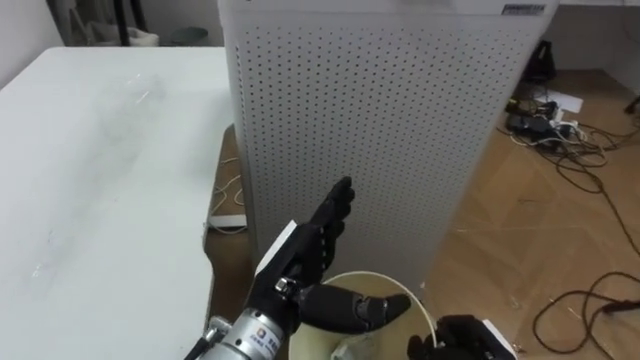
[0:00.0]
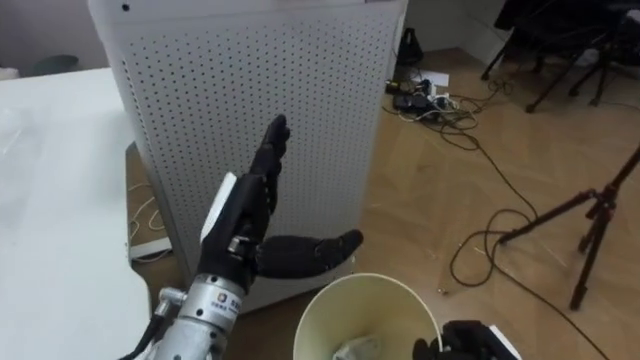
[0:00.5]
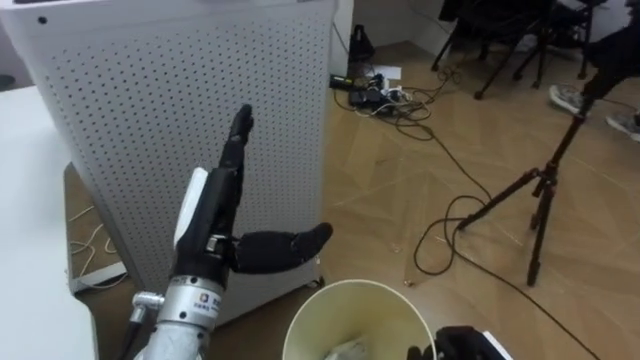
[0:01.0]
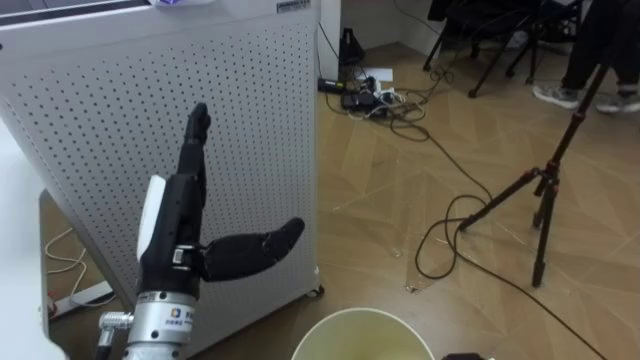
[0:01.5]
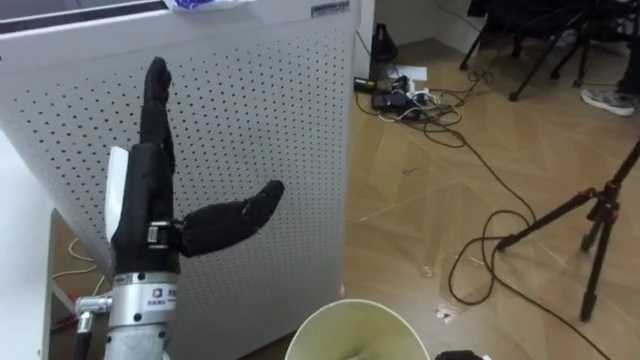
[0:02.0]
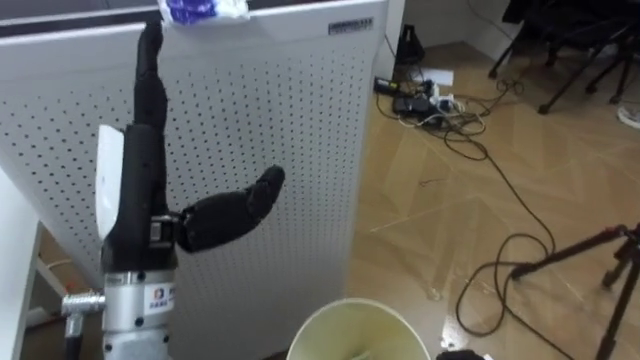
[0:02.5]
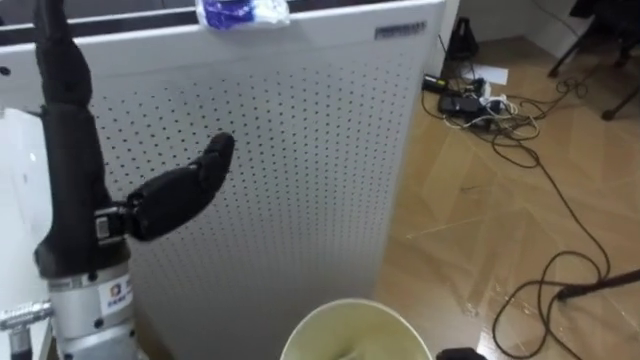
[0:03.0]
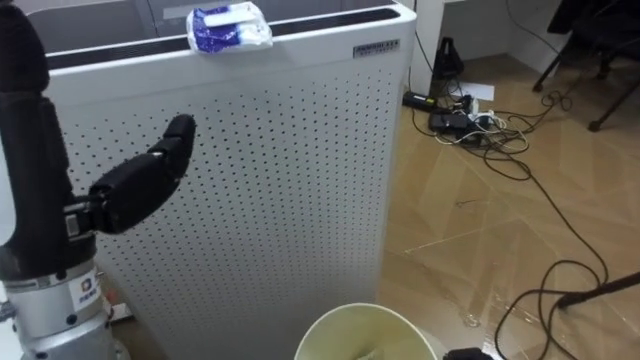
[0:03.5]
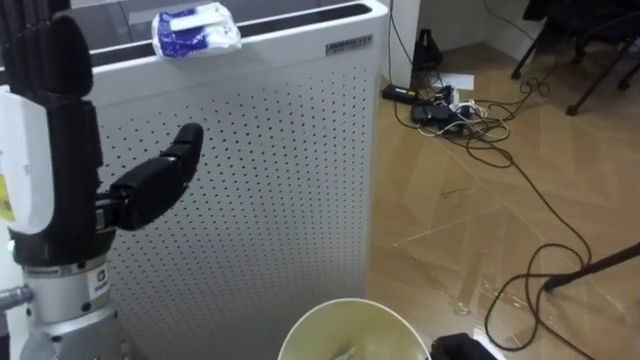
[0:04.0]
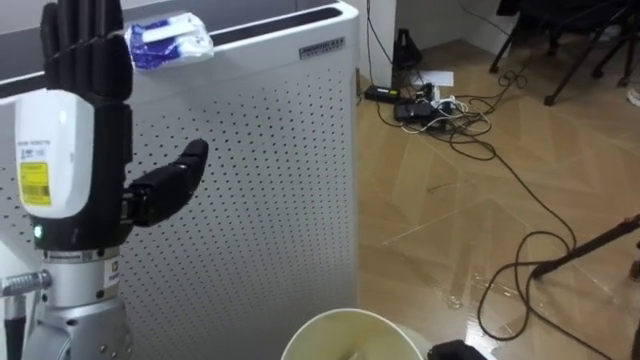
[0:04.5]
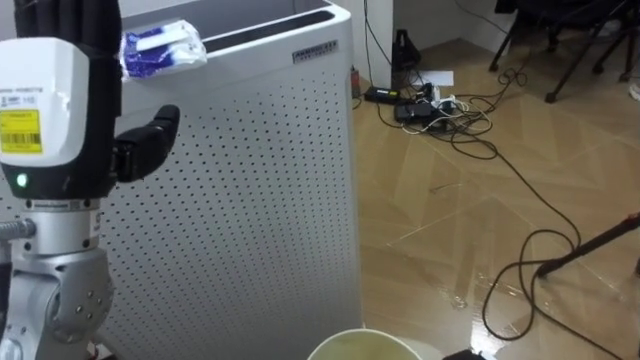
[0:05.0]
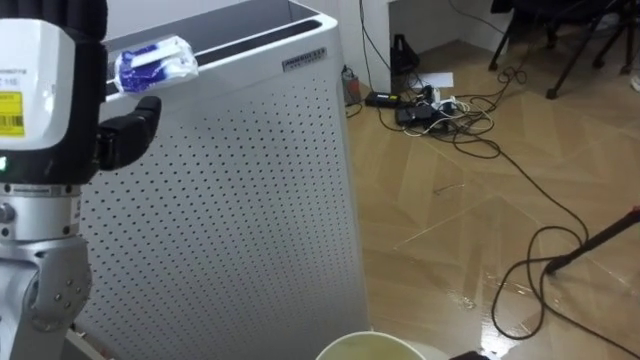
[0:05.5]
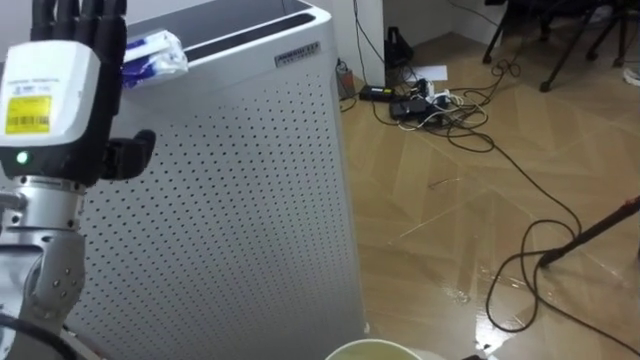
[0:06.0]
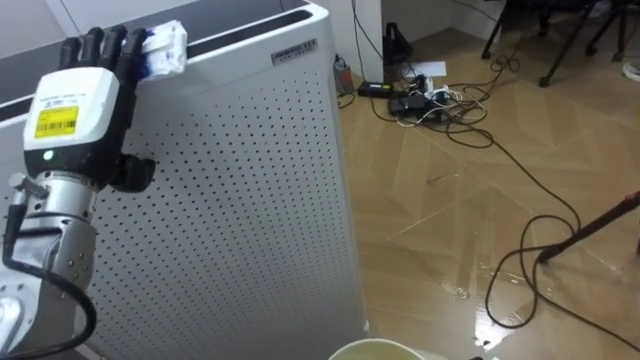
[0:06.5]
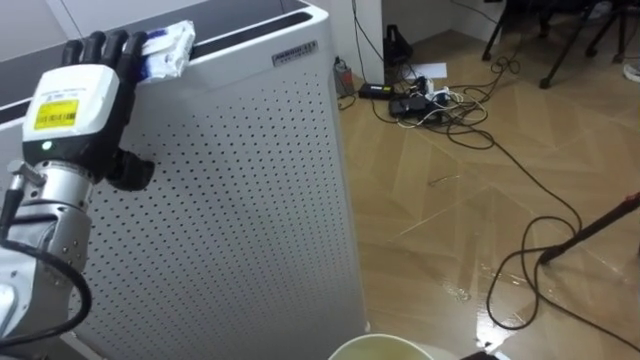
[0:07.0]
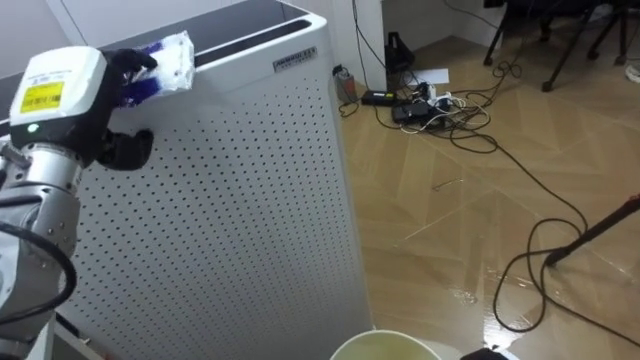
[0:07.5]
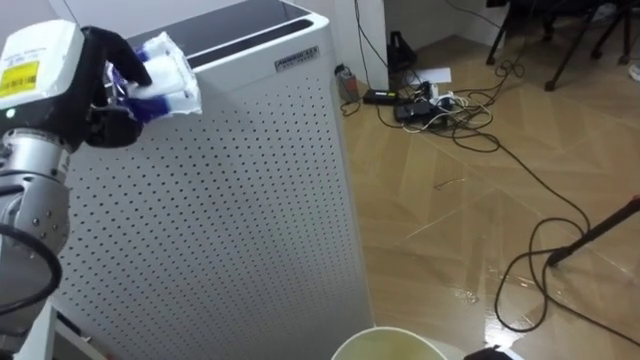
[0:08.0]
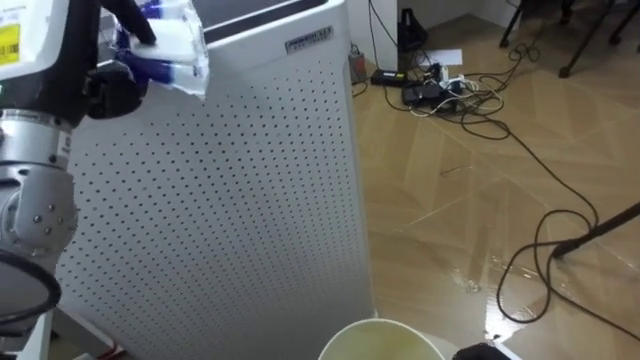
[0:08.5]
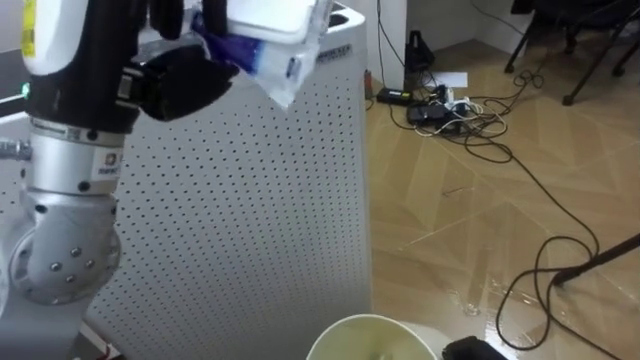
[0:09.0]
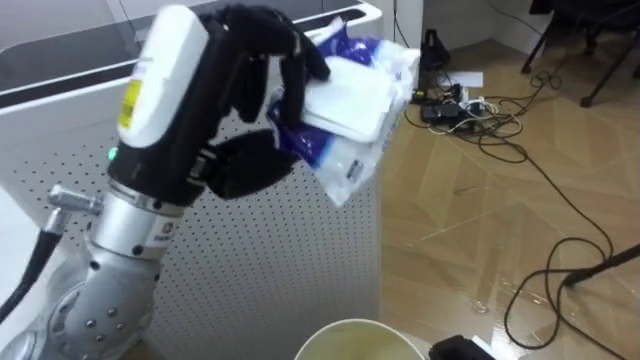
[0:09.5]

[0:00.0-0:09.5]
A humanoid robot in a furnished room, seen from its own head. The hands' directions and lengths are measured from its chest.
Task of the whole recording: Pick up the light blue package, the candy box, and the dark blue package separately, and put them into the trash can held in your right hand.
0:00.0 to 0:02.0: The robot rotates roughly 30 degrees to its right. The left hand moves to the left and upward, some 15 cm.
0:02.0 to 0:04.0: The left hand travels upward by some 10 cm.
0:04.0 to 0:05.5: The left hand moves about 5 cm.
0:05.5 to 0:07.5: The left hand travels forward and downward by approximately 10 cm, and closes.
0:07.5 to 0:09.5: The left hand travels to the right, backward and upward by approximately 20 cm, and closes up.

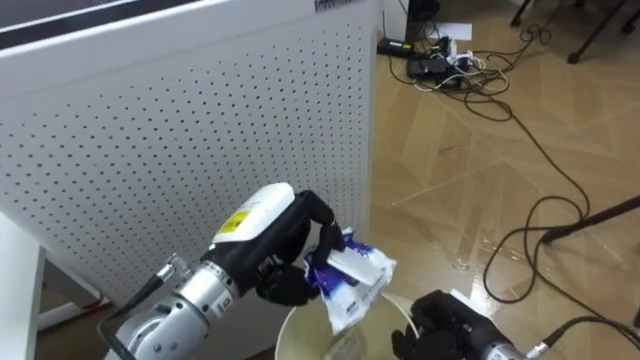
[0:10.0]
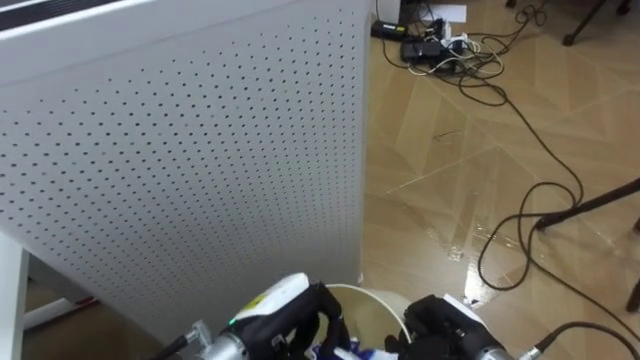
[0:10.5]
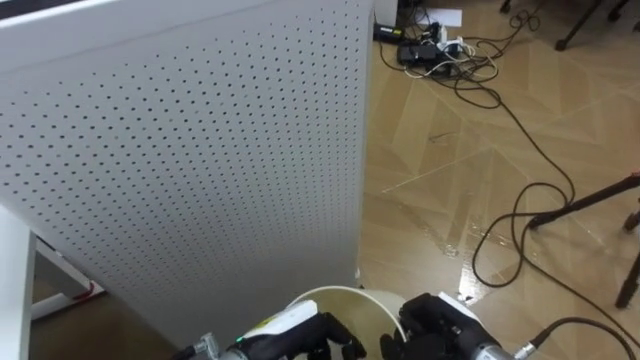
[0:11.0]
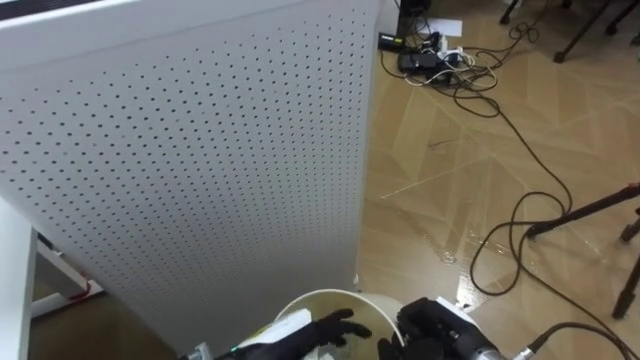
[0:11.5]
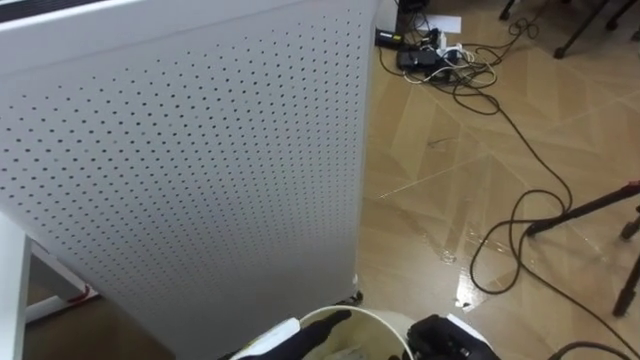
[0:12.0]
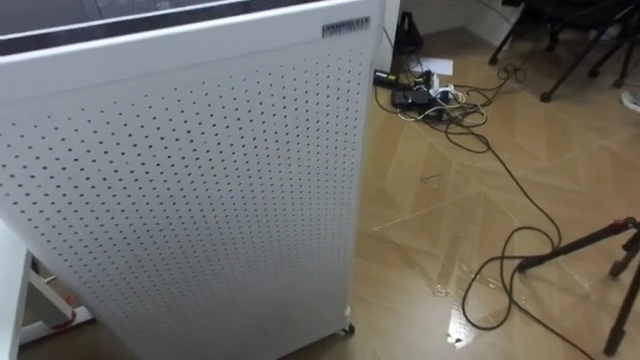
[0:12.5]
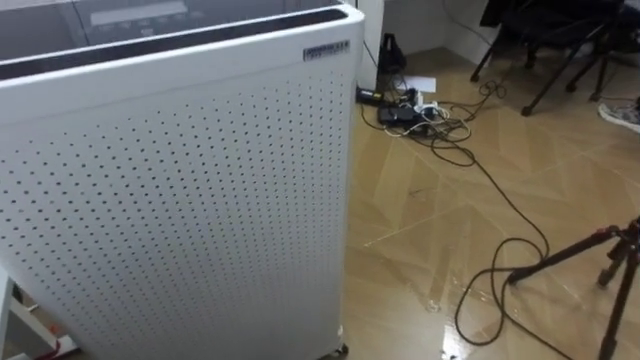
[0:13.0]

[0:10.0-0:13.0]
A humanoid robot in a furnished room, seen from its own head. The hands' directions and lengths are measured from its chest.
Task of the whole recording: Pick up the light blue package, the candy box, and the dark blue package separately, and put them into the trash can held in your right hand.
0:10.0 to 0:11.5: The left hand moves downward and backward, approximately 15 cm, and opens.

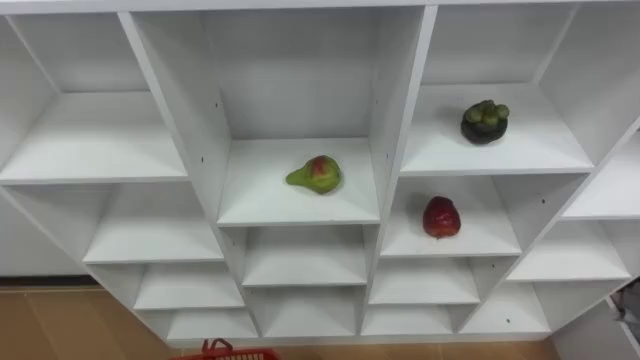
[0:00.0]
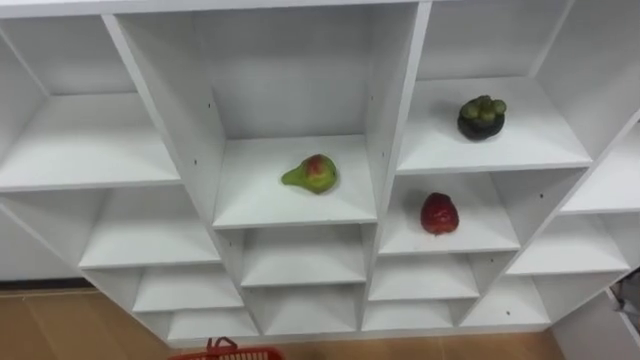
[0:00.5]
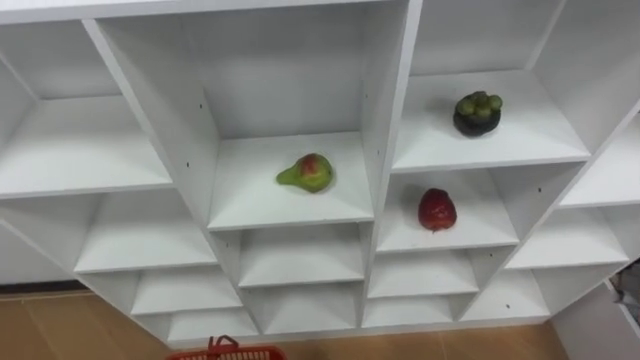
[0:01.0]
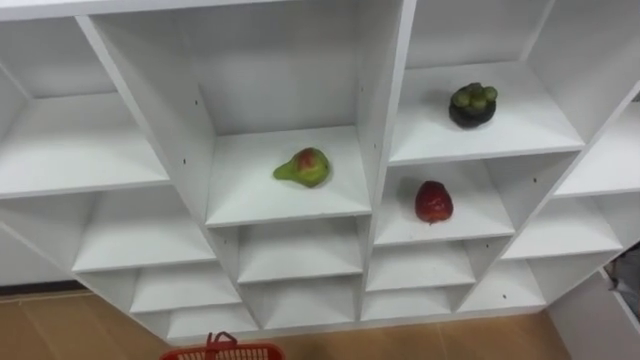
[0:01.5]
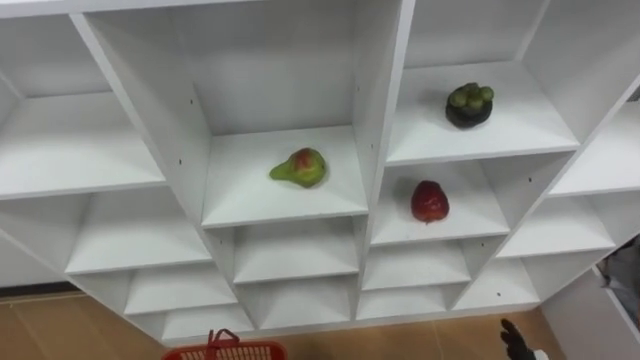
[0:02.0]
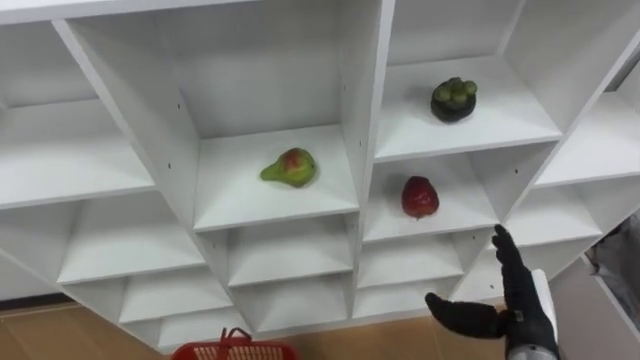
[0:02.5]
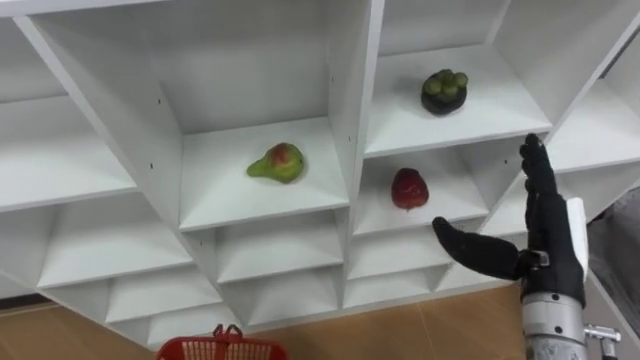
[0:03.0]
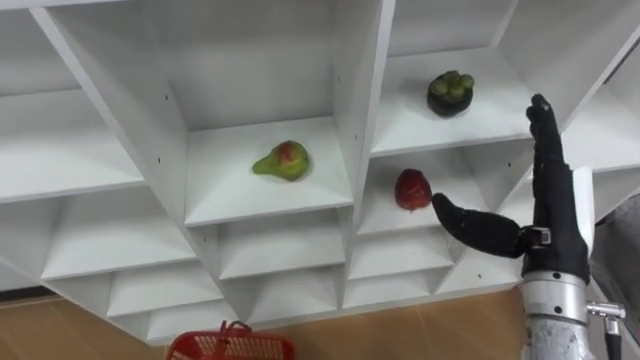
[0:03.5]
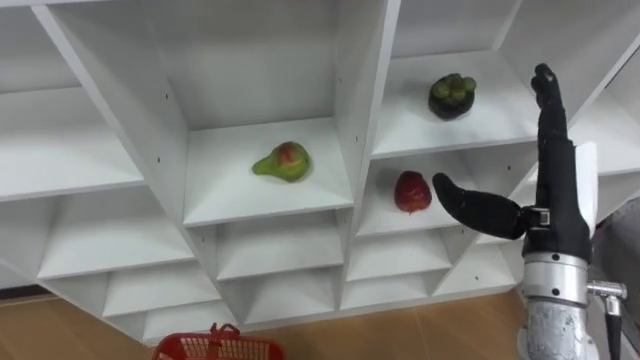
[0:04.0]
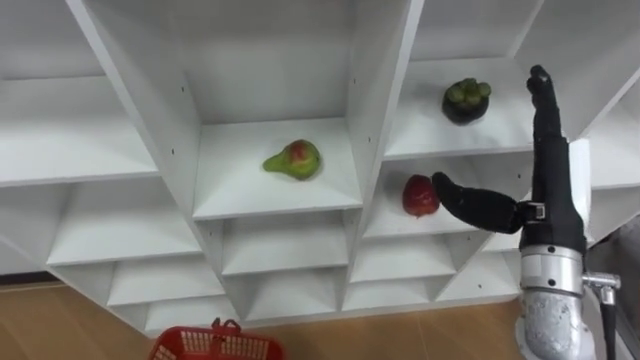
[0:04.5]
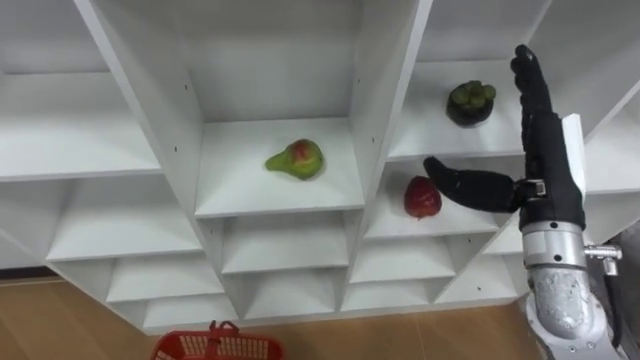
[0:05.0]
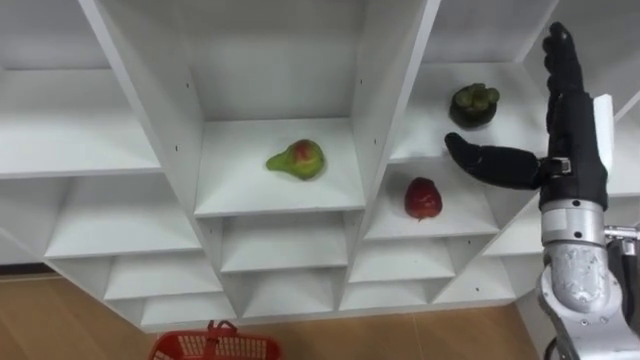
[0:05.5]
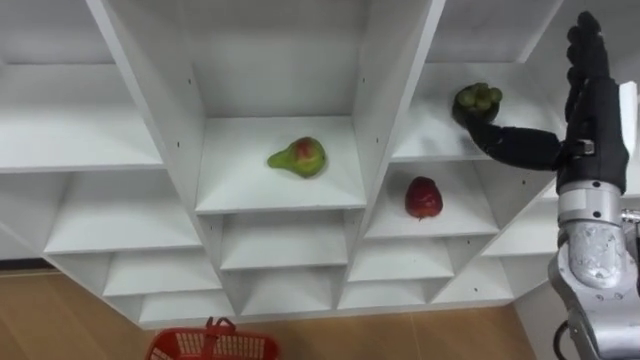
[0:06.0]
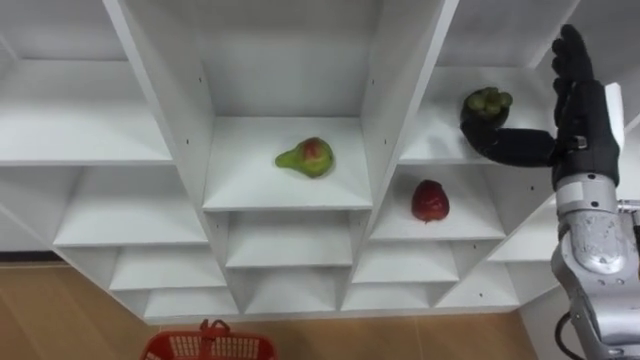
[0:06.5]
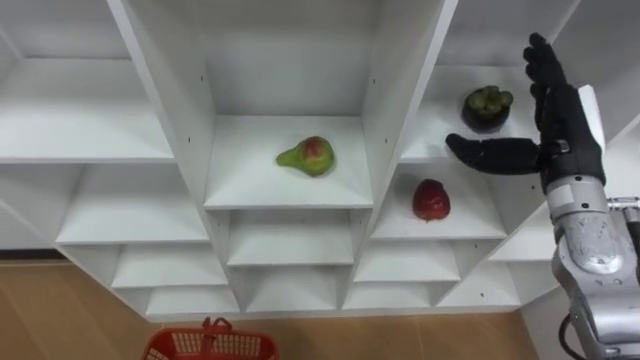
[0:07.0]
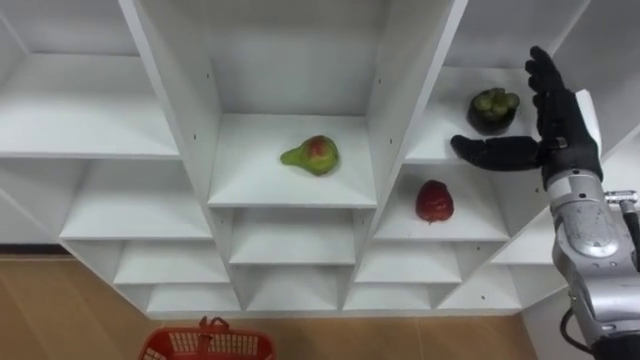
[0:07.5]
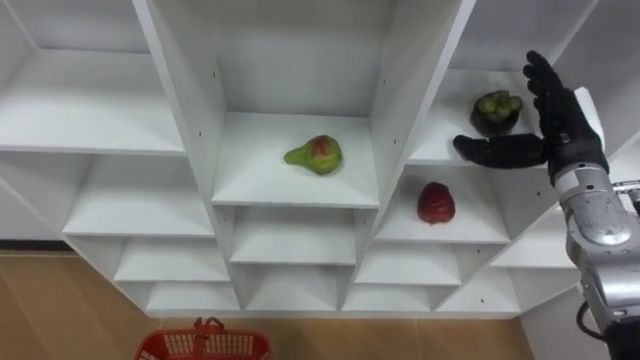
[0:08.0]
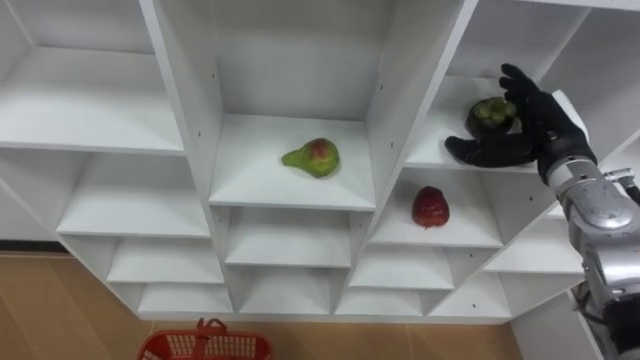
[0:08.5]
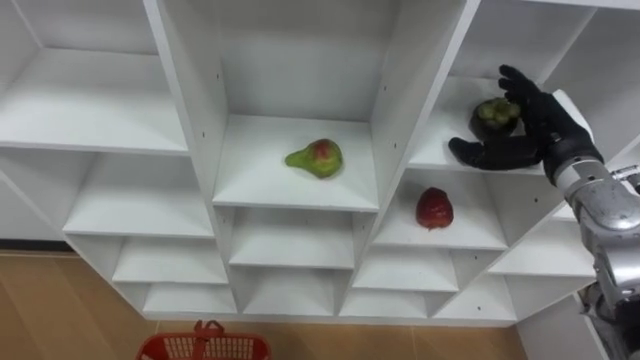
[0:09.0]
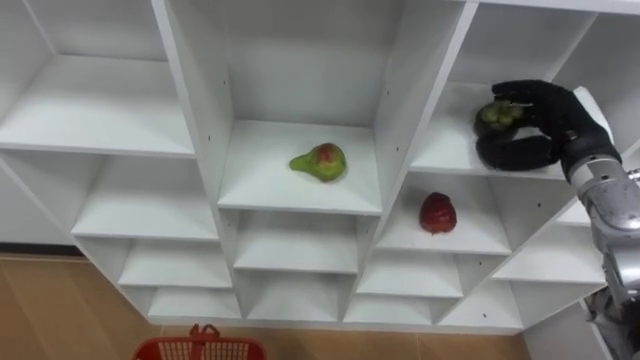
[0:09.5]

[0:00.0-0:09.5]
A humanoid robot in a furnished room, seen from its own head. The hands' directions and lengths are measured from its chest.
Task of the whole recording: Hold the basket and collect the fruits from 3 different cells of the closet into it.
0:04.0 to 0:05.5: The right hand changes place by some 5 cm.
0:05.5 to 0:07.5: The right hand goes roughly 5 cm forward.
